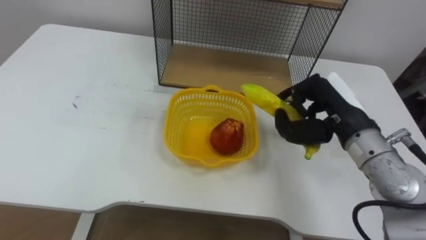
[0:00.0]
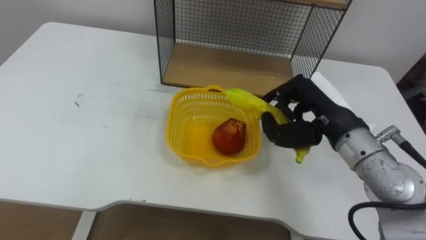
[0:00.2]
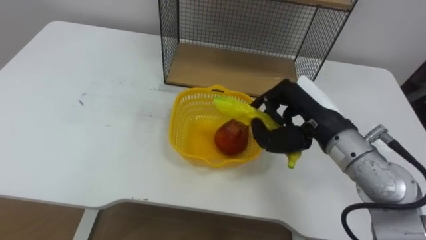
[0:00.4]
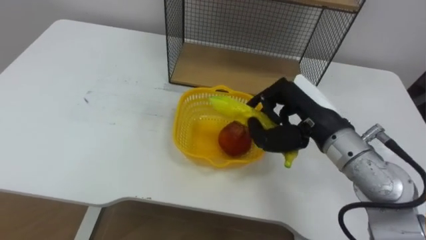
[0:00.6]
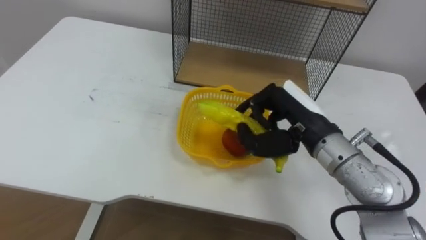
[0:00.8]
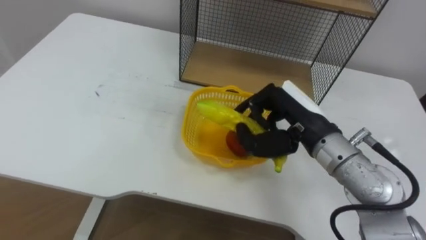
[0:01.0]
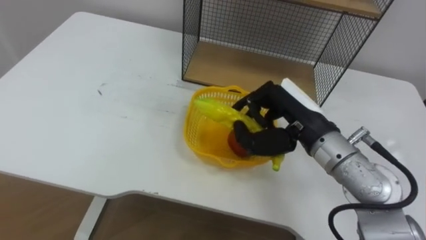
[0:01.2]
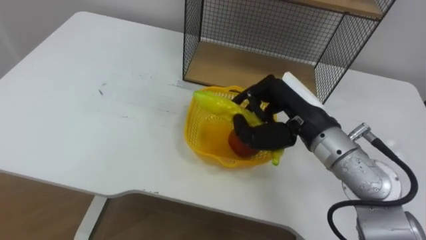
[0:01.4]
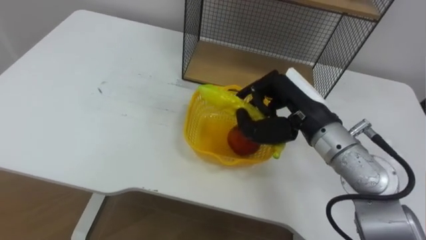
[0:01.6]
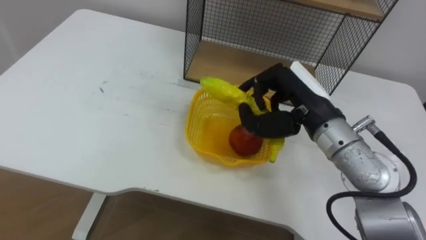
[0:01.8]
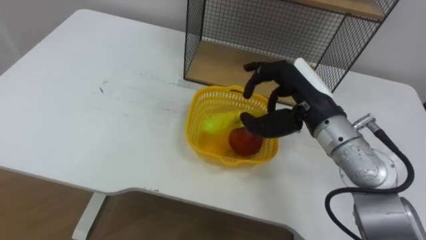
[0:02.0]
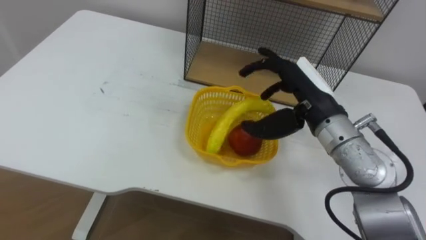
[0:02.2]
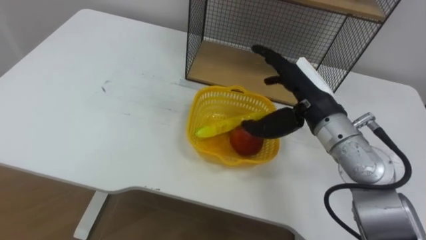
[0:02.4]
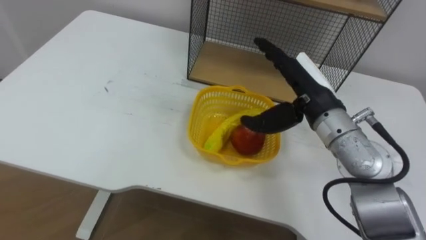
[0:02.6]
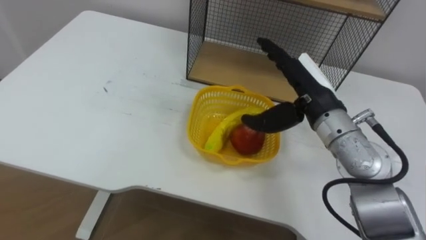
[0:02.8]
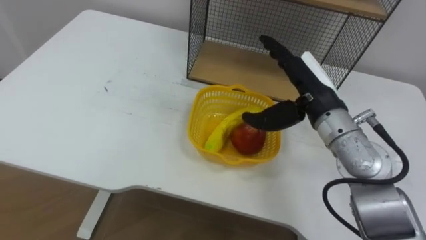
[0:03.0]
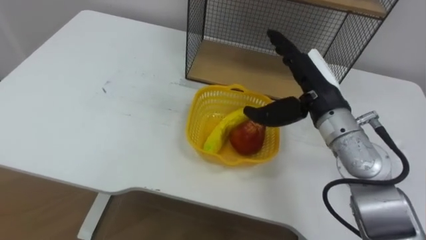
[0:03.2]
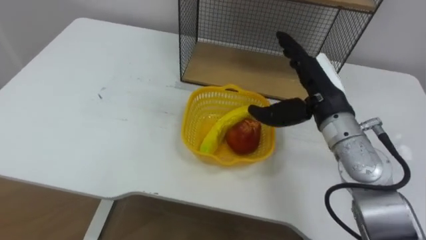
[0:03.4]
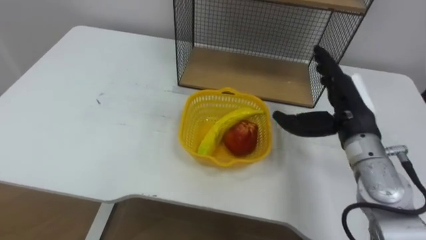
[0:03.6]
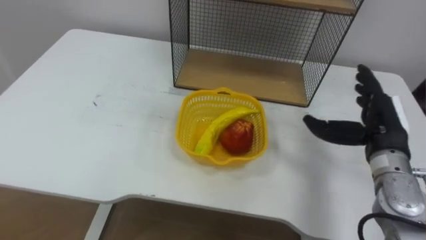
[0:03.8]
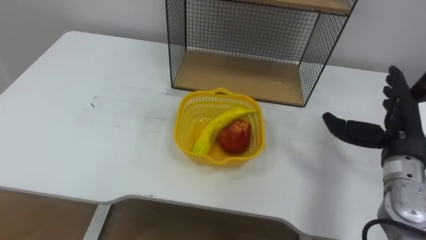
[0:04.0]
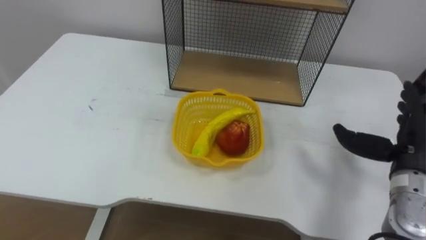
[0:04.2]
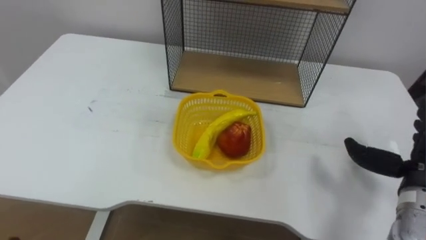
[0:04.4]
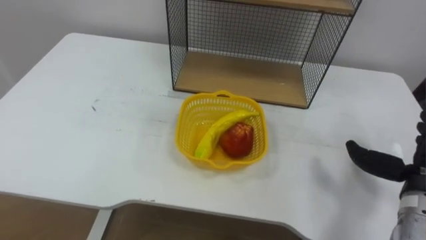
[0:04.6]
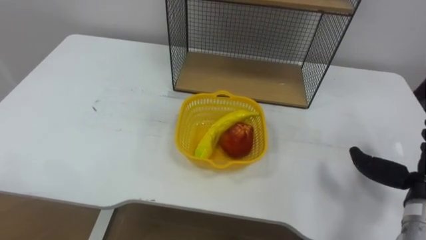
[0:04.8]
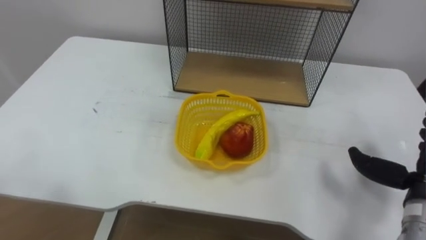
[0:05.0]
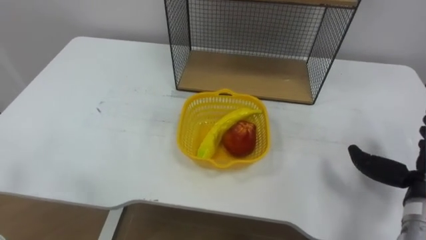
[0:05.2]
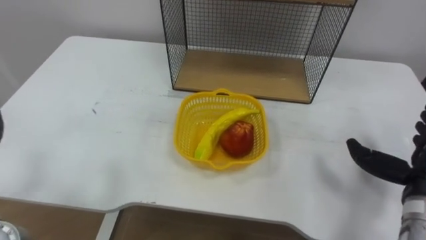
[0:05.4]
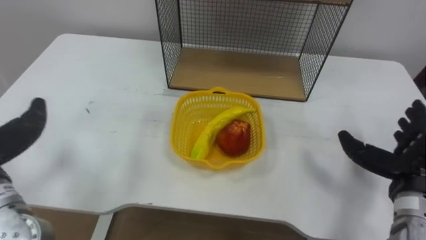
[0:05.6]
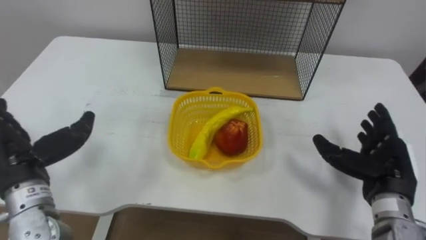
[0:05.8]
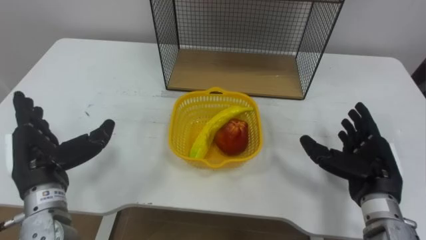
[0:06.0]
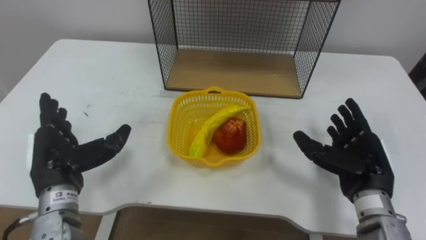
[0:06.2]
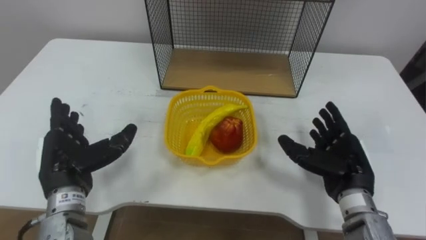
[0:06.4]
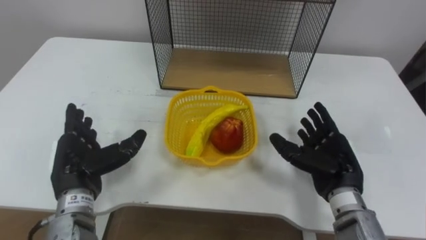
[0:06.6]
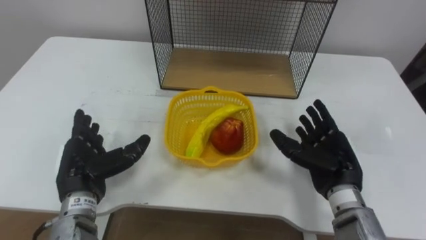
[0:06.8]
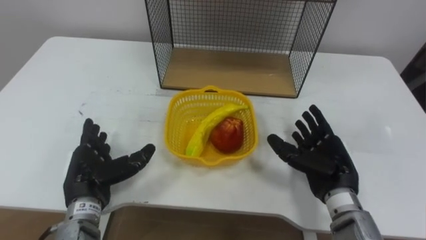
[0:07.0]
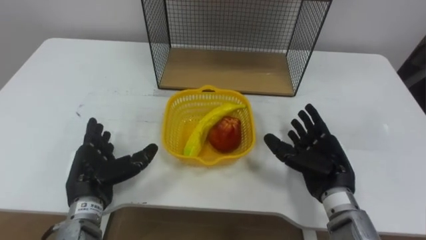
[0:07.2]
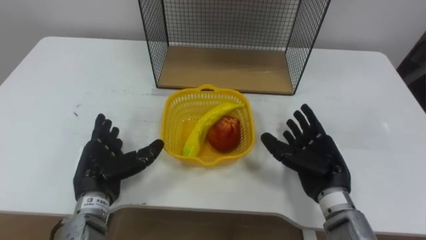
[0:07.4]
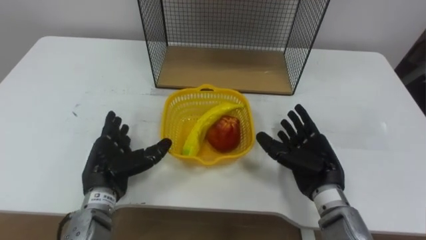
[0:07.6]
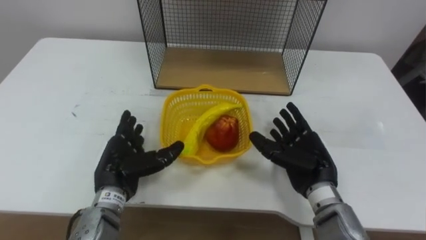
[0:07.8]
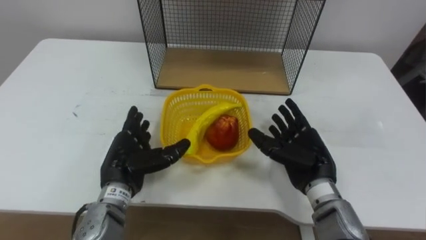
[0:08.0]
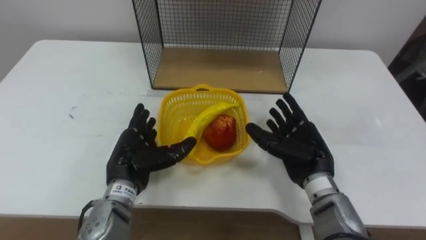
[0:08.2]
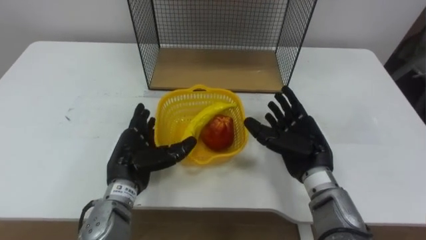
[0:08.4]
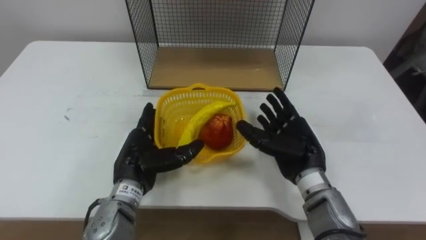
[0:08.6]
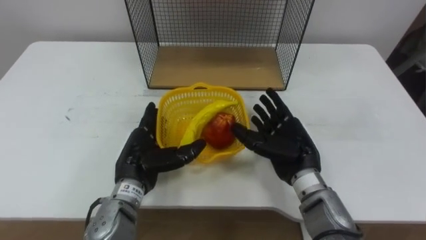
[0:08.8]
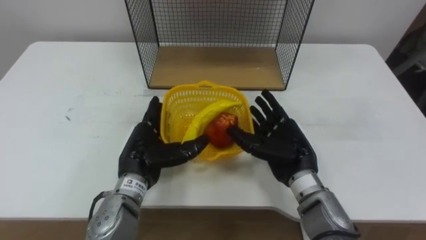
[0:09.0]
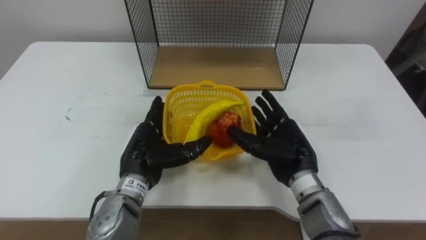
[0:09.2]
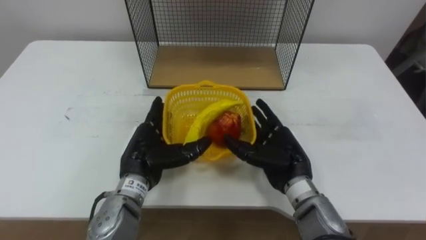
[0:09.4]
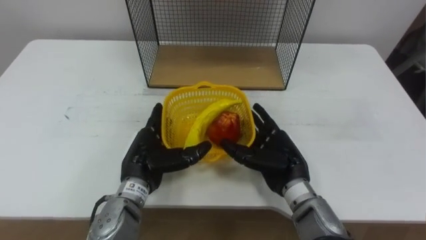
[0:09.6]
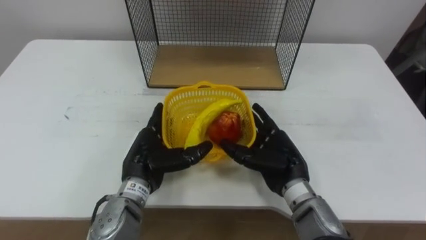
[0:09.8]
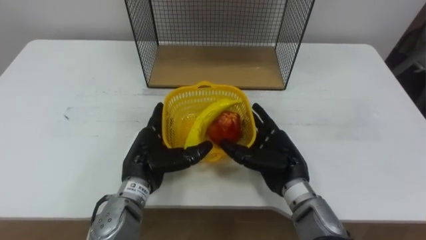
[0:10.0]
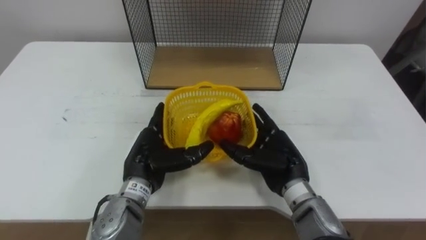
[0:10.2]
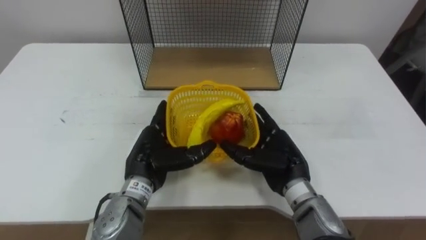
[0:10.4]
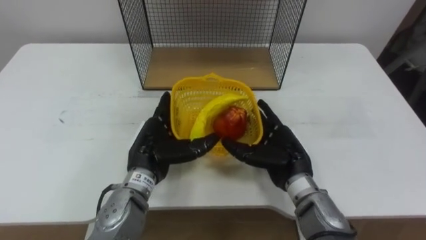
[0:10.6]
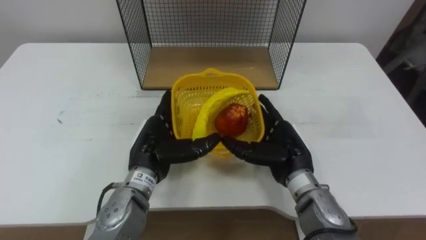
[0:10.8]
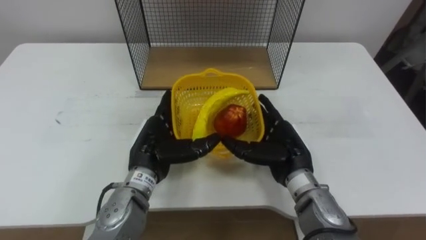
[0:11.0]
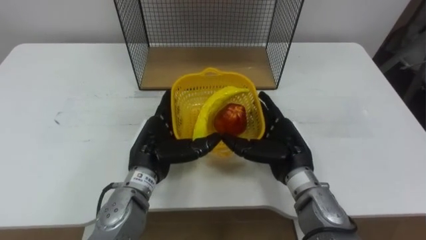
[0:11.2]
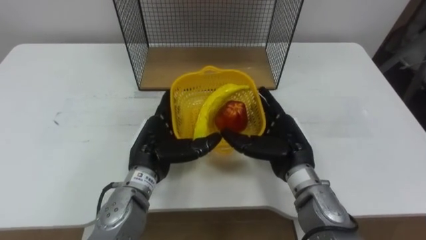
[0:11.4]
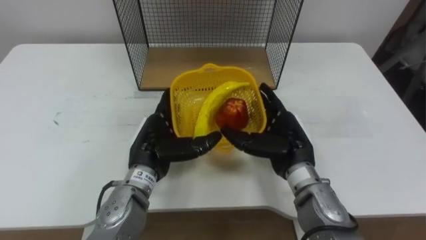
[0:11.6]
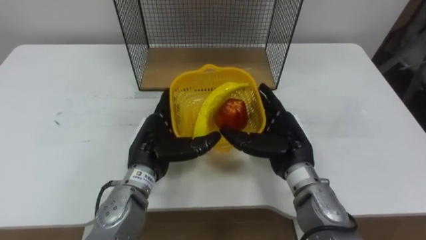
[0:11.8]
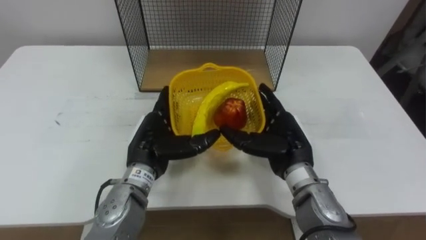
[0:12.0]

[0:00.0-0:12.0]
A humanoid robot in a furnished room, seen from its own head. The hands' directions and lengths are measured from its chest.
Task of the whole recording: Put the fruit on the table into the basket, then place the basket on the shelf.
0:00.0 to 0:01.6: The right hand moves to the left, approximately 5 cm.
0:01.6 to 0:03.0: The right hand opens.
0:03.0 to 0:04.4: The right hand heads to the right, backward and downward, covering roughly 20 cm.
0:06.0 to 0:07.6: The left hand heads to the right and downward, covering approximately 10 cm. Meanwhile the right hand heads to the left, covering roughly 10 cm.
0:07.6 to 0:09.0: The right hand goes approximately 5 cm to the left. Meanwhile the left hand shifts about 5 cm to the right.
0:09.0 to 0:10.4: The hands stay close to where they were, moving slightly.

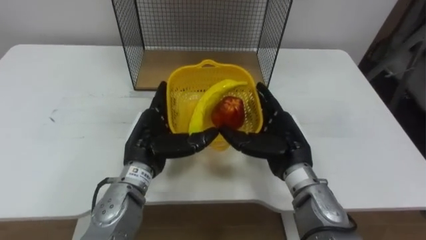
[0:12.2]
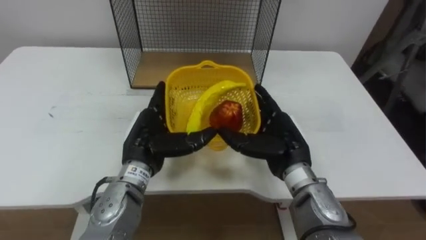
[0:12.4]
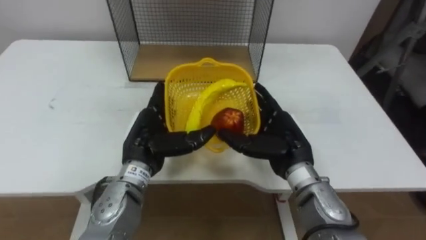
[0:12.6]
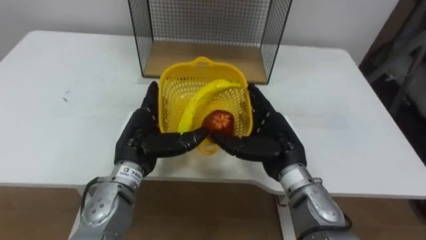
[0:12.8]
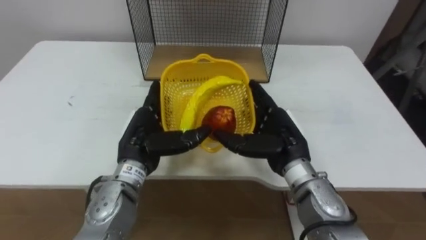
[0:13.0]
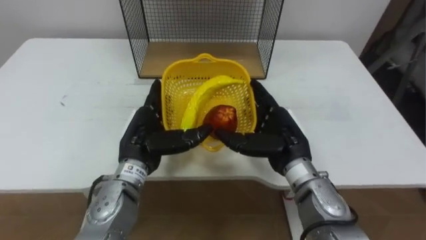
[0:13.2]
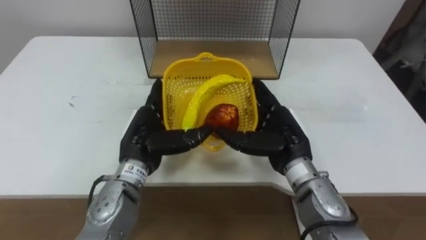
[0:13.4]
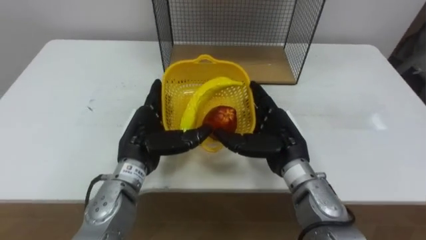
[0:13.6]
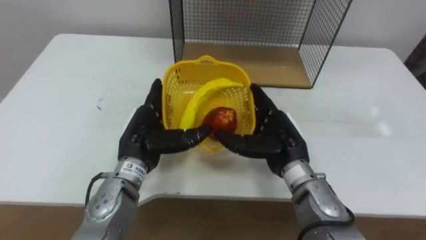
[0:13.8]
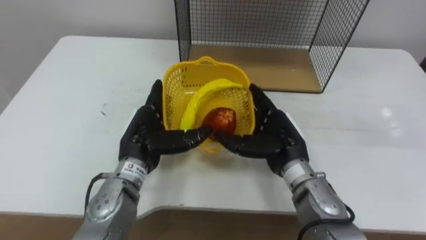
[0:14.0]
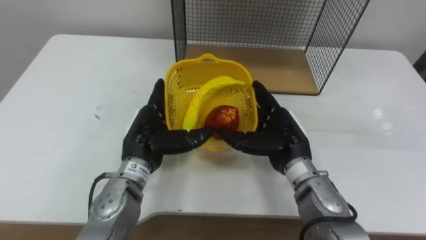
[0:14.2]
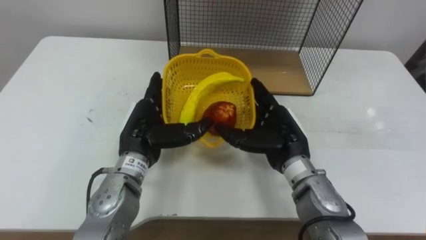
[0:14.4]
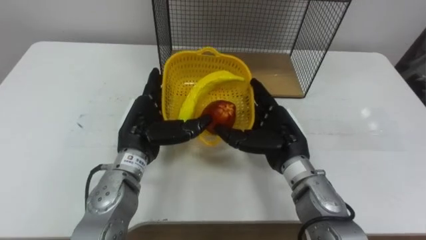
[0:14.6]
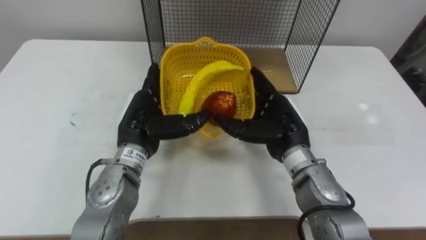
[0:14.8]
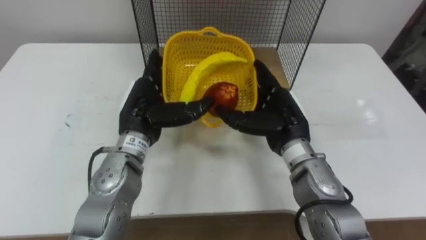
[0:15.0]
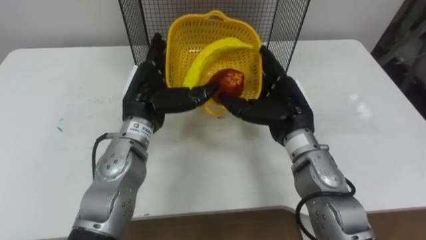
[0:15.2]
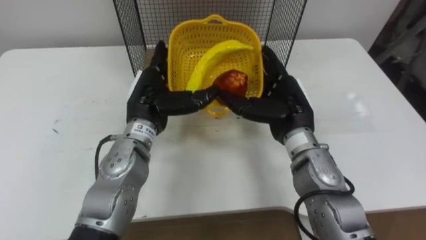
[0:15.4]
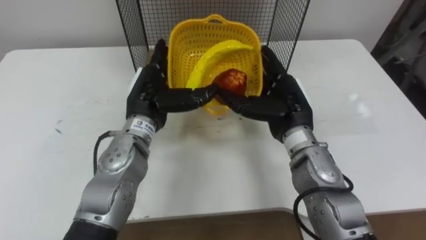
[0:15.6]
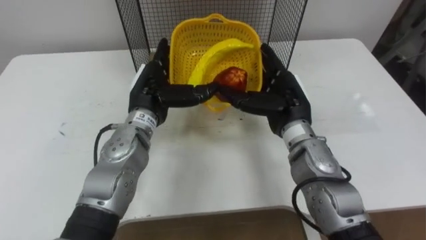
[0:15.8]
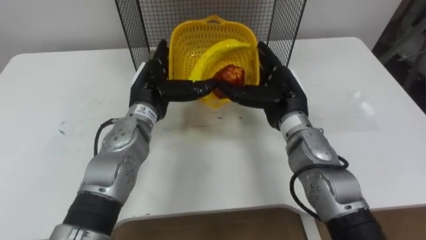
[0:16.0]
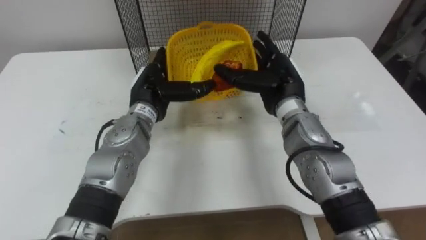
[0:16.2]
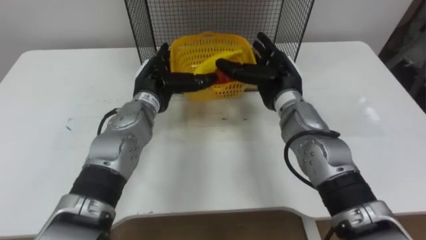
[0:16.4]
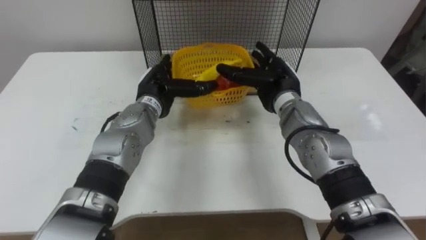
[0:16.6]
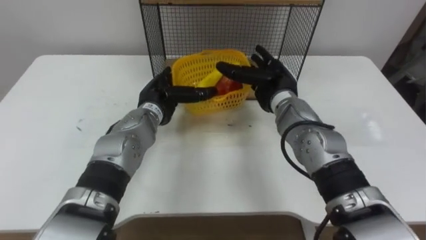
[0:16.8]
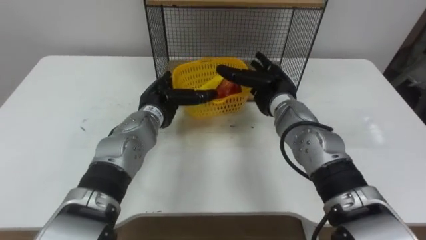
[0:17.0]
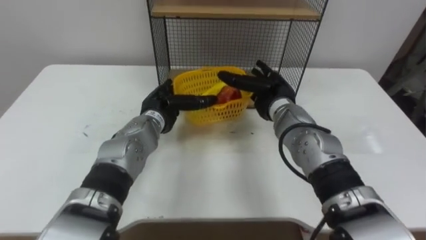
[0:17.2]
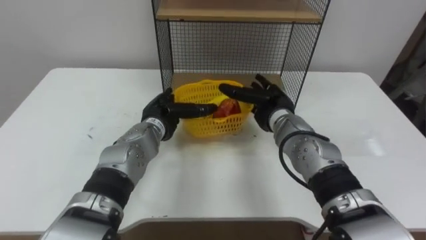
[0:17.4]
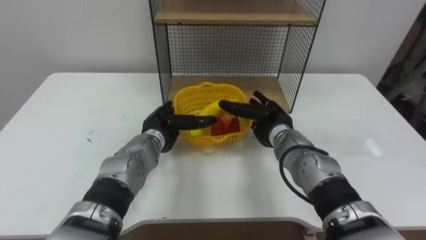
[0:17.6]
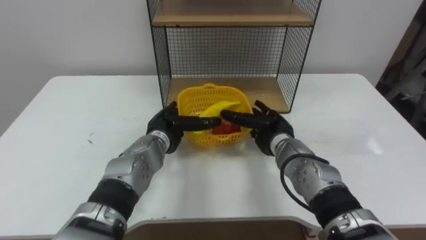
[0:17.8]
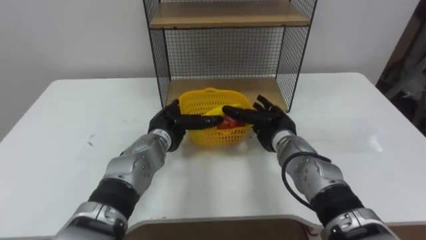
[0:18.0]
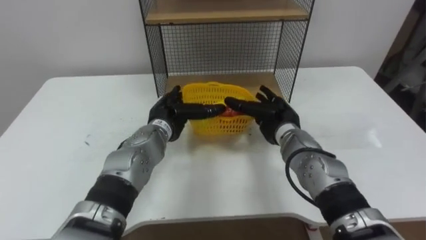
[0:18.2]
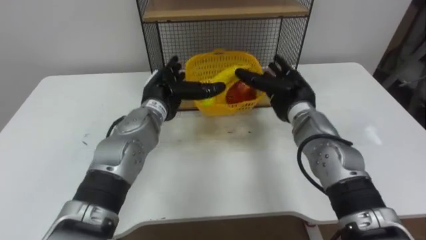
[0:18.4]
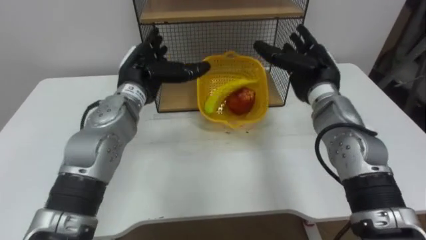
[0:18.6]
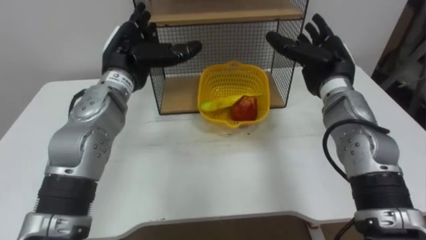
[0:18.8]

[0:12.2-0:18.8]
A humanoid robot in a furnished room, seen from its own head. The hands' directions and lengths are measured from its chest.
Task of the whole recording: Put the fruit on the table into the basket, then place the basket on the shelf.
0:13.8 to 0:15.4: The right hand moves some 5 cm, while the left hand shifts by about 5 cm.
0:15.4 to 0:17.2: The left hand travels downward by about 10 cm. The right hand shifts roughly 5 cm forward.
0:17.2 to 0:18.8: The left hand heads upward, covering about 15 cm, while the right hand shifts about 10 cm to the right and upward.
